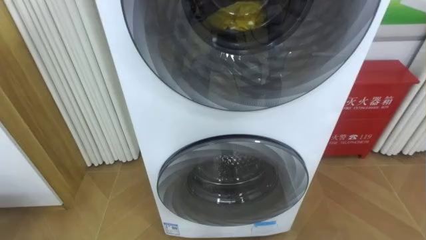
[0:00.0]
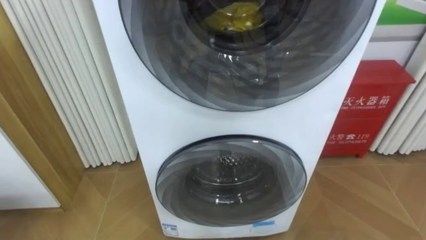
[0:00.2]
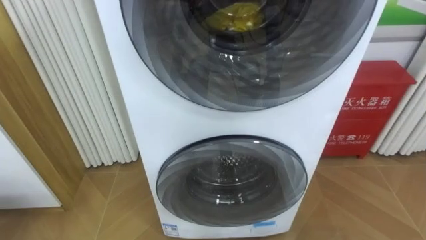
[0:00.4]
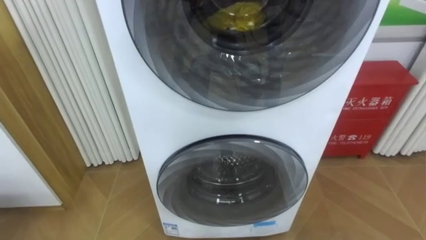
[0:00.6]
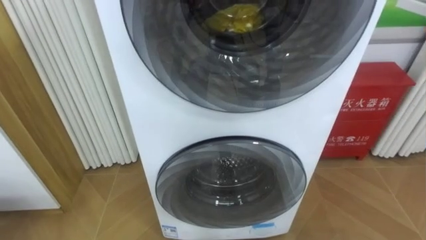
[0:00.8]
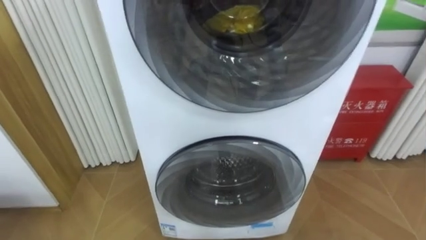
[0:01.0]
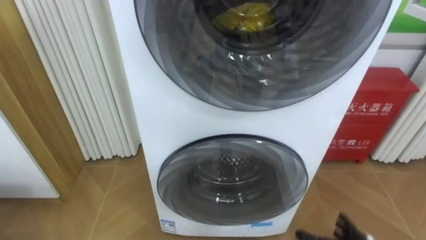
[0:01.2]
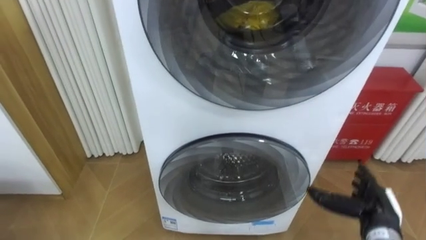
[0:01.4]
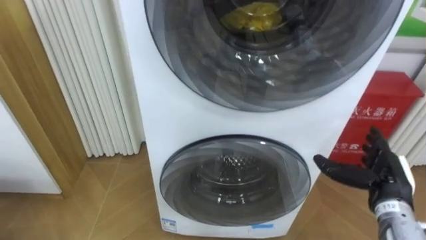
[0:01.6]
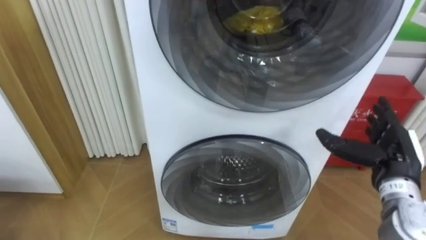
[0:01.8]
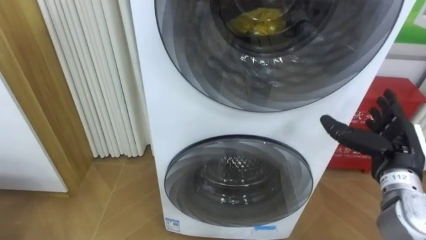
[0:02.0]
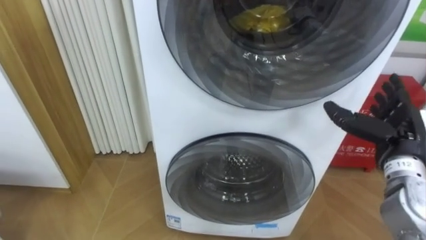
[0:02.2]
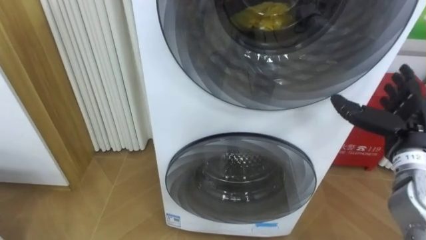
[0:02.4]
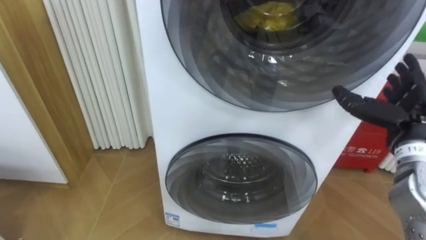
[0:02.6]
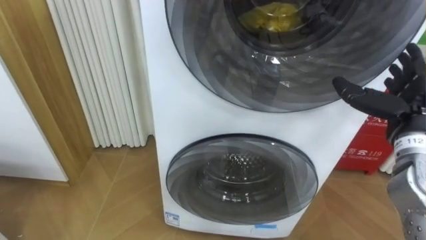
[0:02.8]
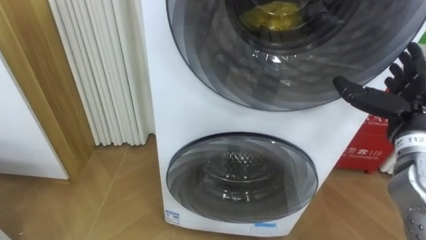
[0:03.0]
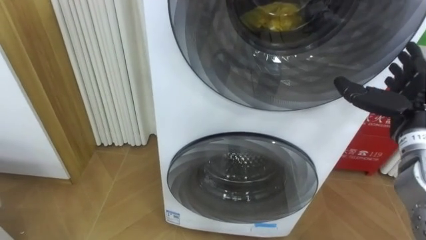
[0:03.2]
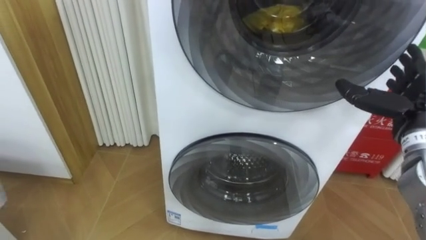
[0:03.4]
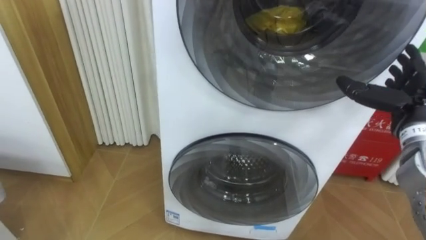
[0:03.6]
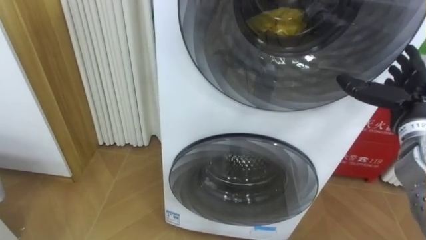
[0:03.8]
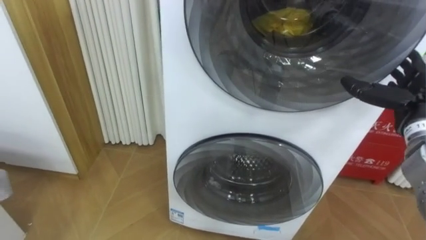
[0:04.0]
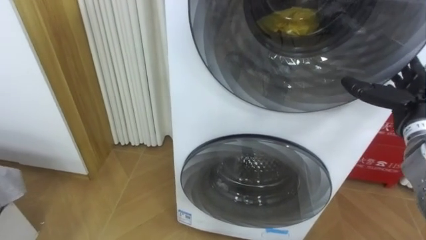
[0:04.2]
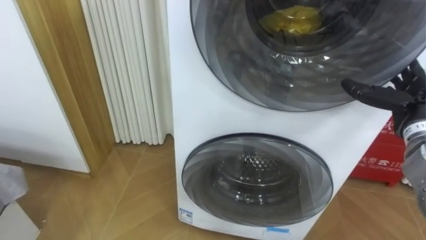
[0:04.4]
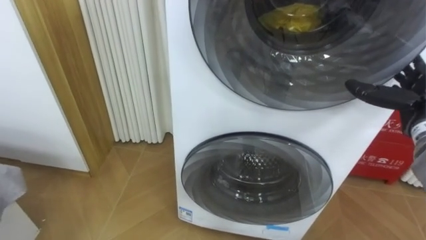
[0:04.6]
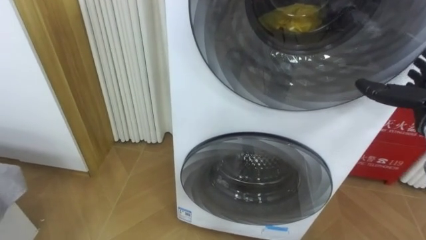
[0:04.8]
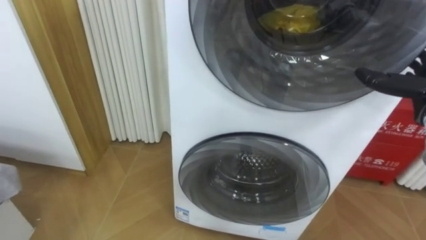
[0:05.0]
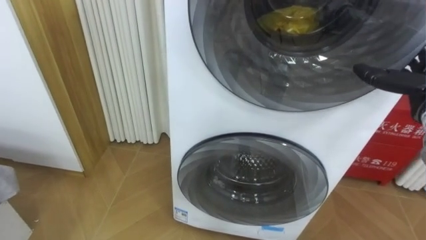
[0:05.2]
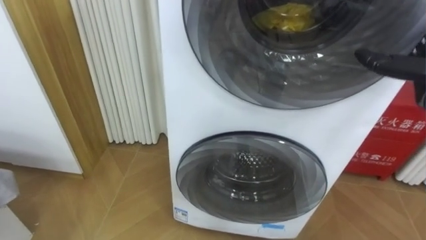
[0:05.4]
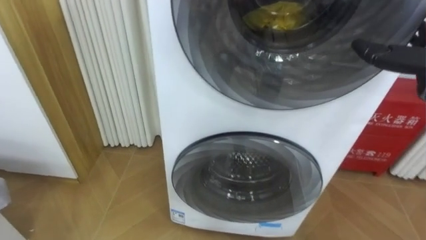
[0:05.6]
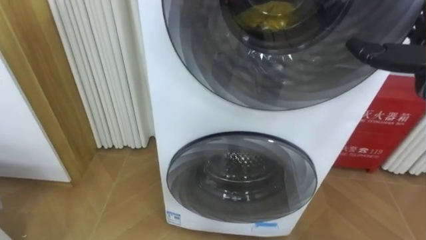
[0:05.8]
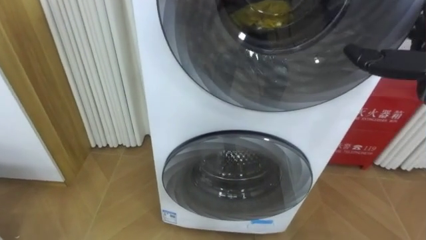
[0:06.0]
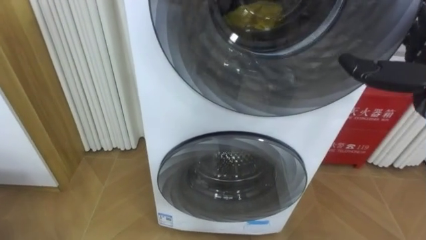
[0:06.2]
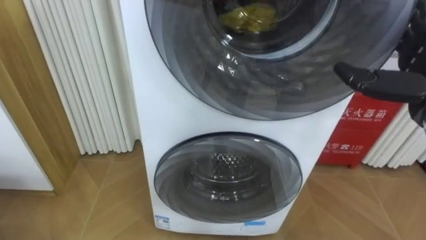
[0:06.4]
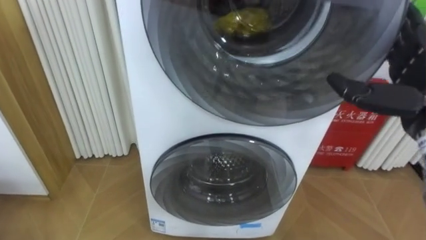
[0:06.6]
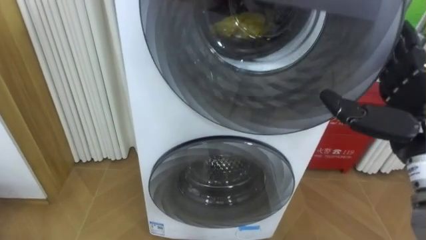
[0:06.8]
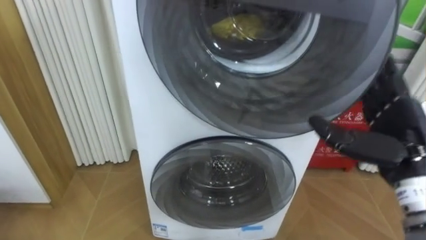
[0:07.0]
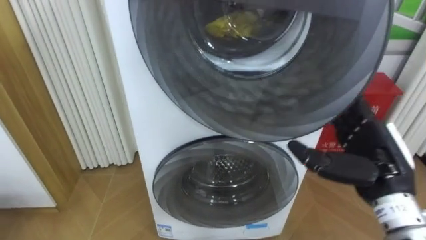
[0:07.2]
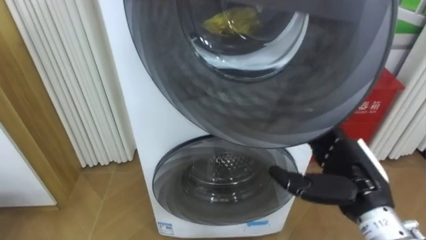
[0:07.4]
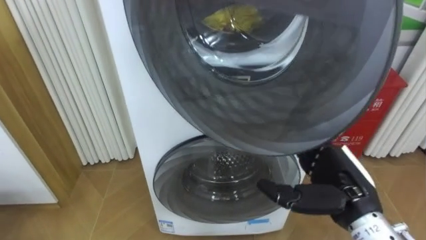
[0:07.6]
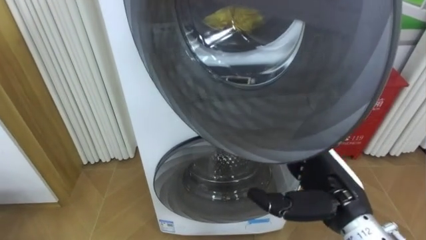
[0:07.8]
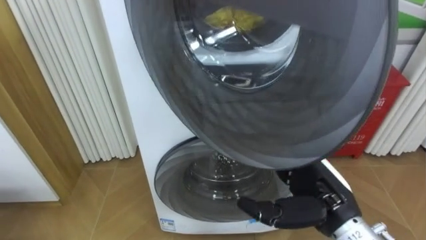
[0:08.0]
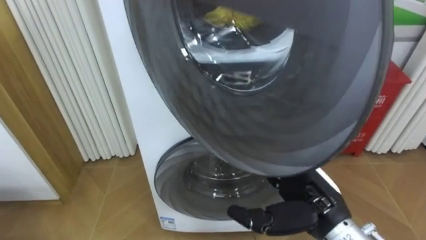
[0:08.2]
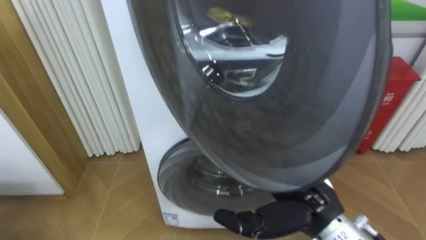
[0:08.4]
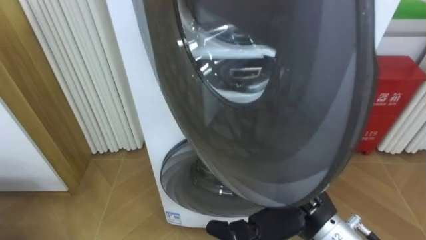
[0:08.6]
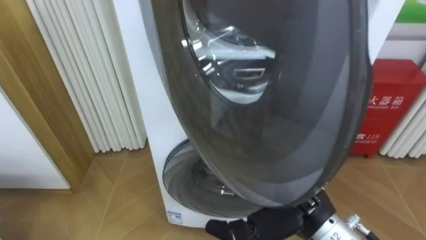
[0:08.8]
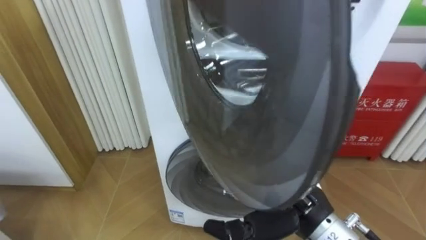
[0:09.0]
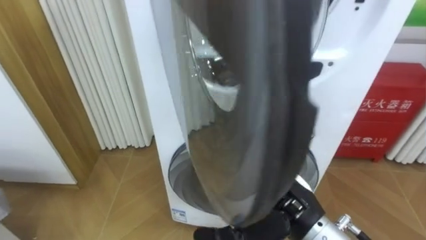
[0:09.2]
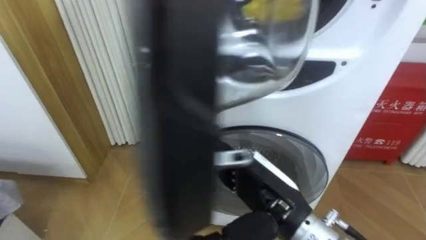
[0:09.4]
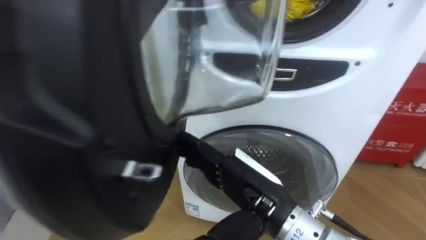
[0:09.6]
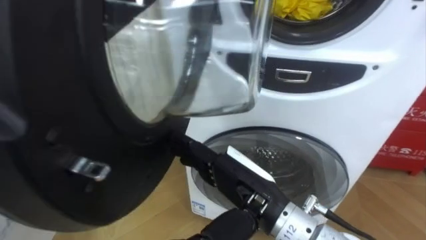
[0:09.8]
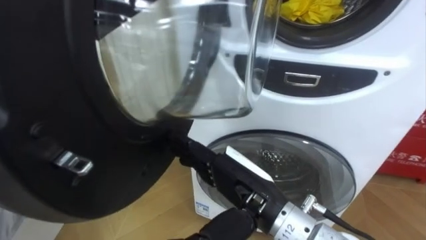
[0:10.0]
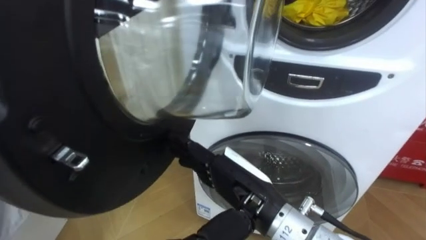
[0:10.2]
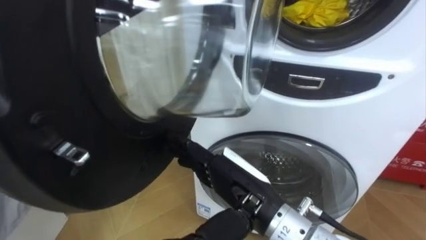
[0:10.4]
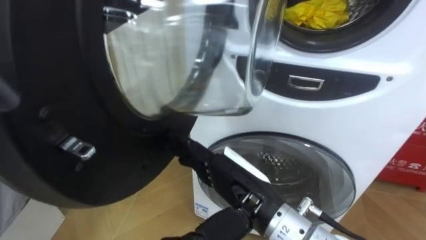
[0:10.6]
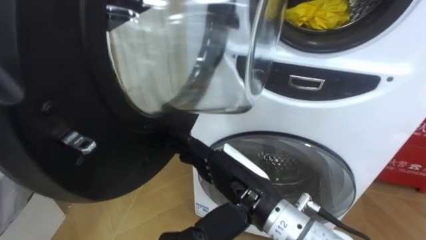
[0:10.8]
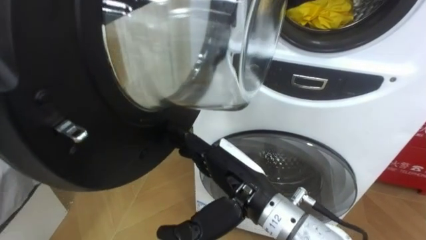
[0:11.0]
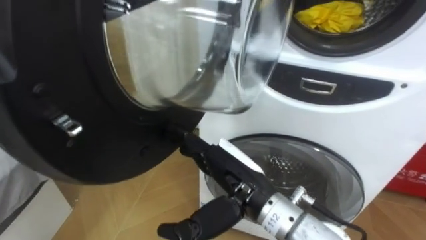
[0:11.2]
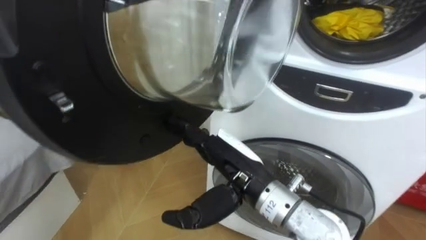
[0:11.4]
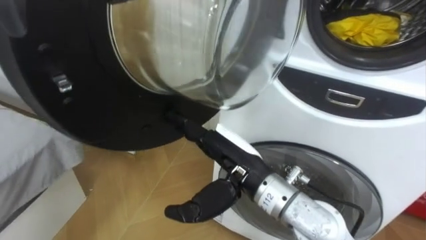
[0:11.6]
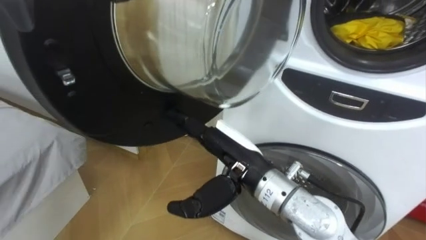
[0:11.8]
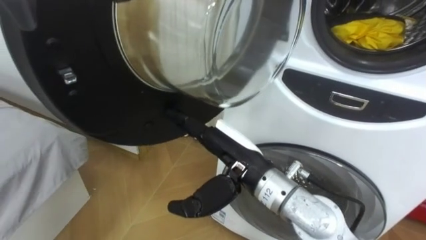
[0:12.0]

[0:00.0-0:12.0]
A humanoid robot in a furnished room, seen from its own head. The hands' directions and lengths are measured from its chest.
Task of the whole recording: Open the washing machine door, take out the yellow clothes, place them in the box on the right, and close the washing machine door.
0:01.6 to 0:03.0: The right hand moves upward, about 15 cm.
0:03.0 to 0:04.4: The right hand moves about 5 cm.
0:07.6 to 0:09.0: The right hand is displaced to the left by some 10 cm.
0:09.0 to 0:10.4: The right hand shifts some 5 cm to the left.

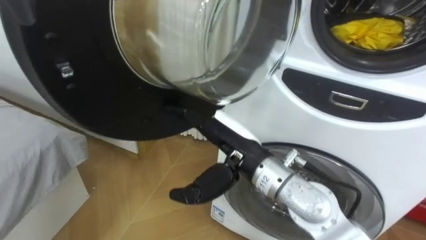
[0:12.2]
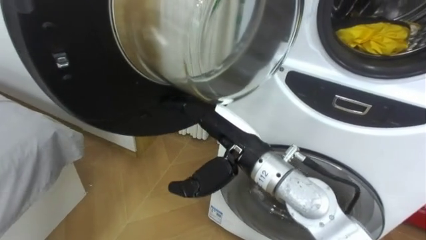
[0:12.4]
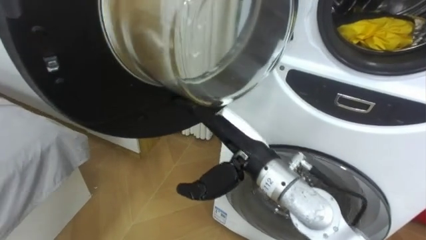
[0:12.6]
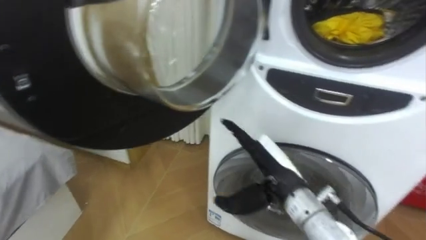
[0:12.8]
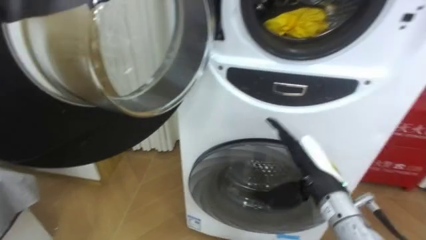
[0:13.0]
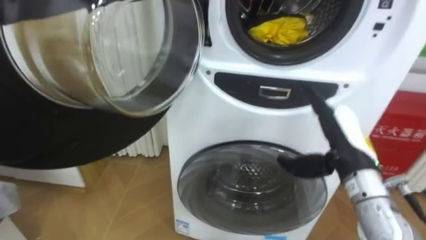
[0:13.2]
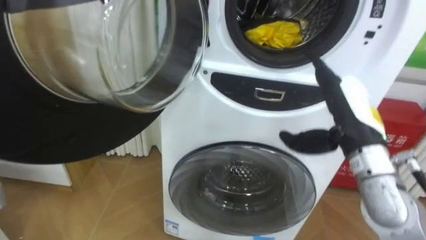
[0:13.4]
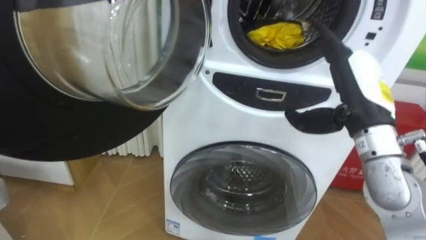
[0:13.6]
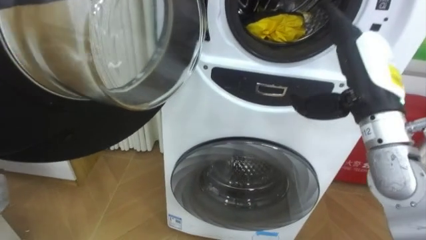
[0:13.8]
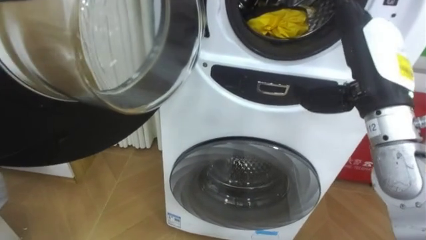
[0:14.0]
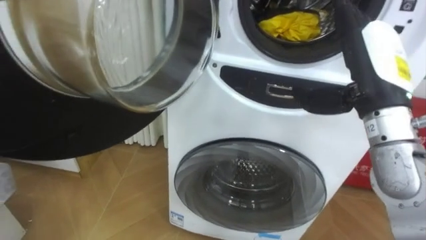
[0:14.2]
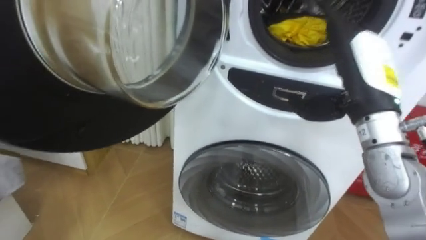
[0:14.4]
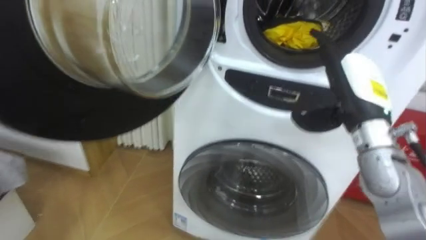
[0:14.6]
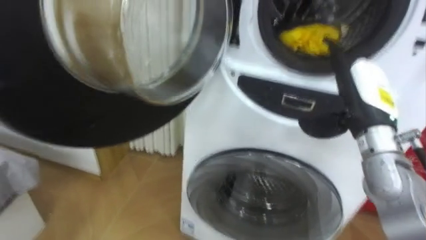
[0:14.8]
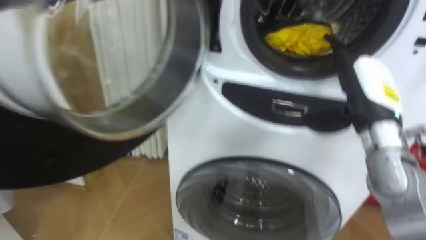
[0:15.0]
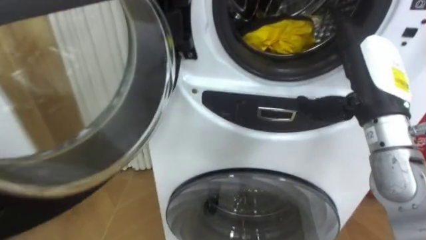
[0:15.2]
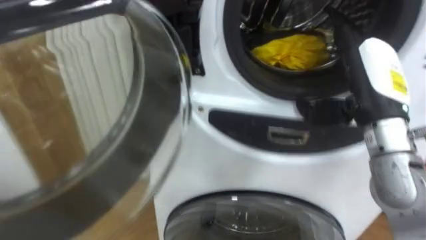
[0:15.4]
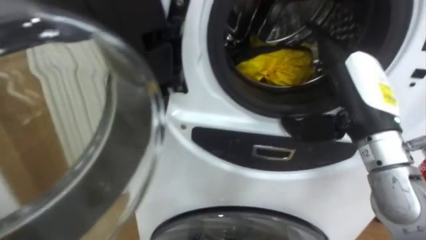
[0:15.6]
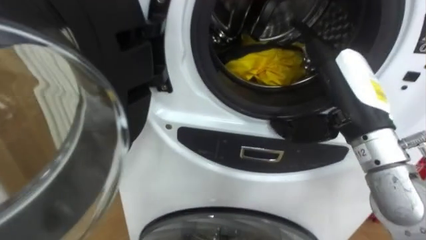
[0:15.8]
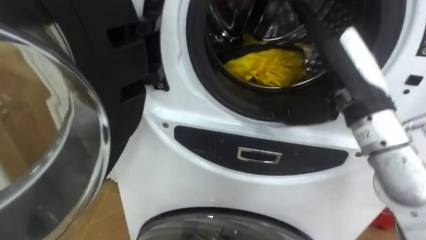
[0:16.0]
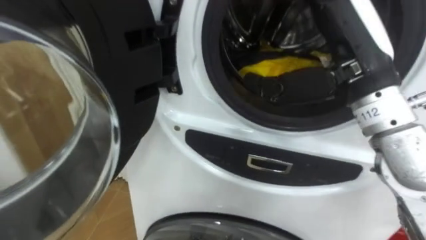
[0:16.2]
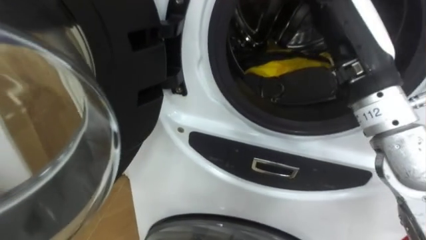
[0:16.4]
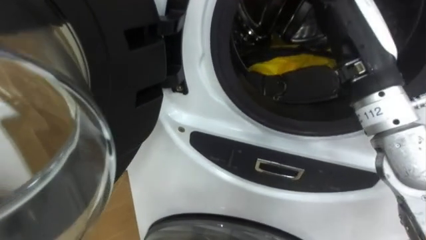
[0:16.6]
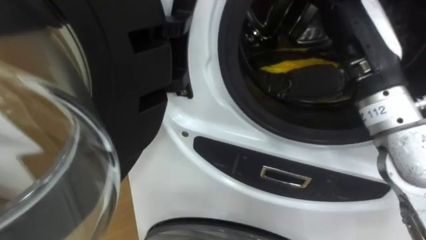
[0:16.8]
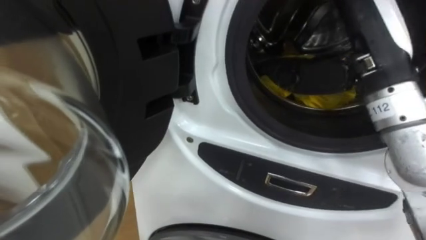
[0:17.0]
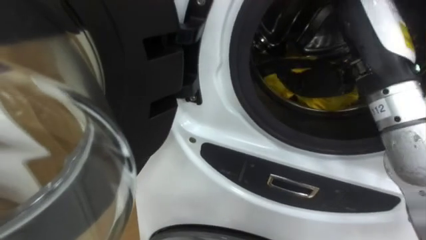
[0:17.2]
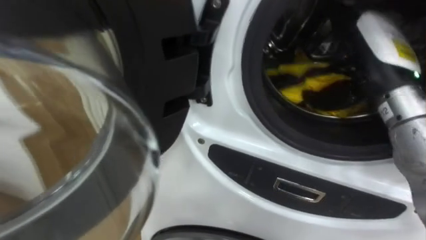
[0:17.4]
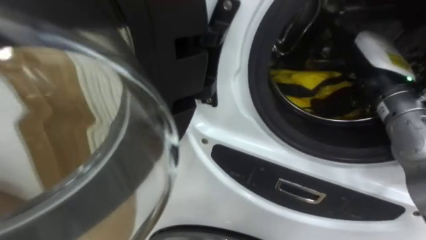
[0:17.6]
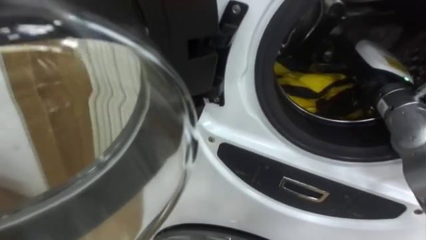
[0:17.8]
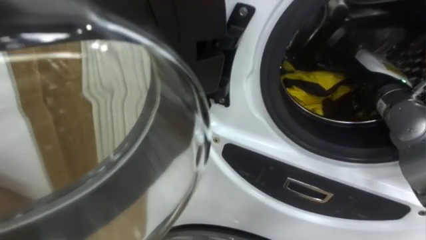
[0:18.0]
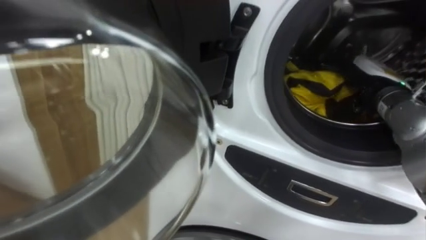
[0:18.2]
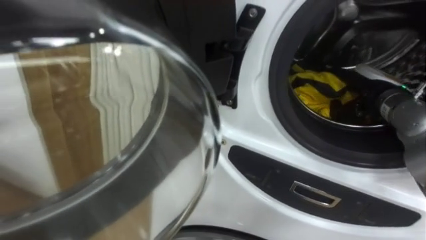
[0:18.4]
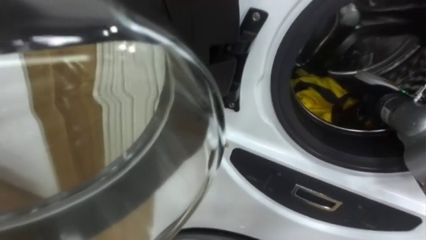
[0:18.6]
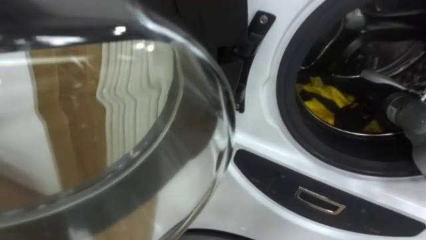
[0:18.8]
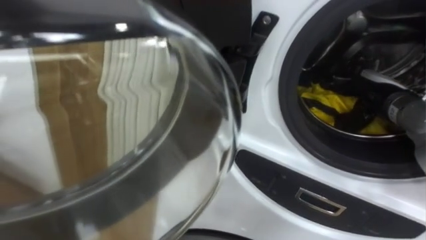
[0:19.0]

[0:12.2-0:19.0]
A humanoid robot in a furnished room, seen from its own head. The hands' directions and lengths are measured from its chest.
Task of the whole recording: Open the washing machine door, take out the yellow clothes, place them in the box on the right, and close the washing machine door.
0:12.2 to 0:13.6: The right hand travels to the right by some 20 cm.
0:15.0 to 0:16.2: The right hand moves upward and to the left, about 10 cm.
0:16.2 to 0:17.6: The right hand is displaced to the right, downward and forward by approximately 15 cm.
0:17.6 to 0:19.0: The right hand is displaced downward by roughly 5 cm, and closes.
